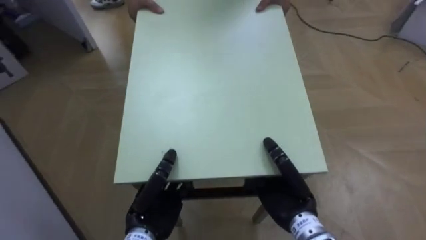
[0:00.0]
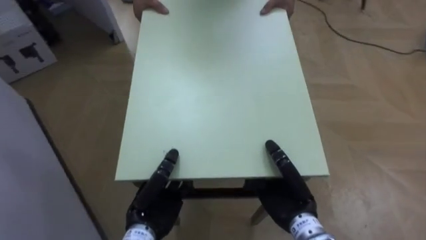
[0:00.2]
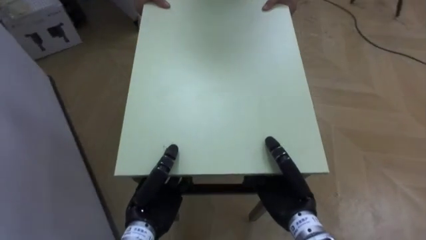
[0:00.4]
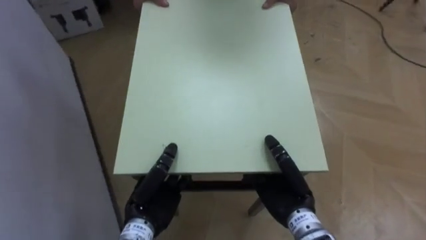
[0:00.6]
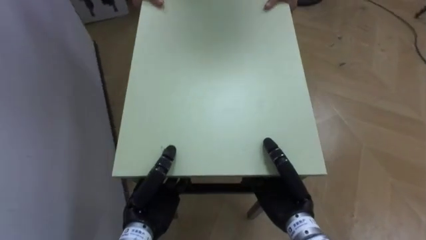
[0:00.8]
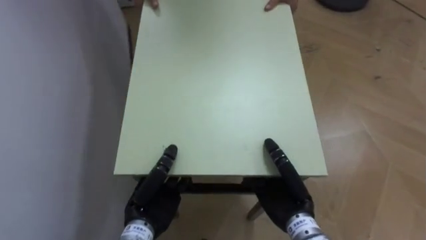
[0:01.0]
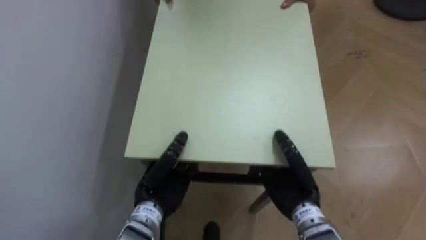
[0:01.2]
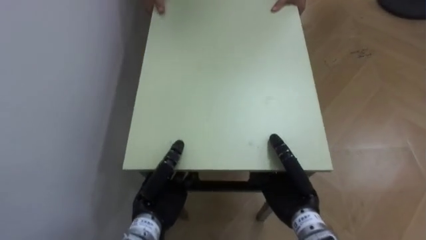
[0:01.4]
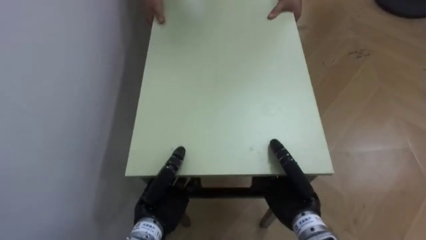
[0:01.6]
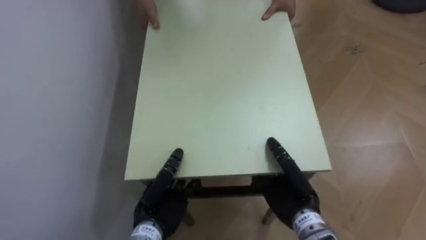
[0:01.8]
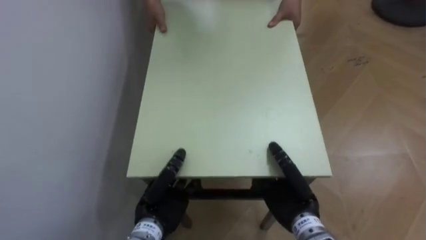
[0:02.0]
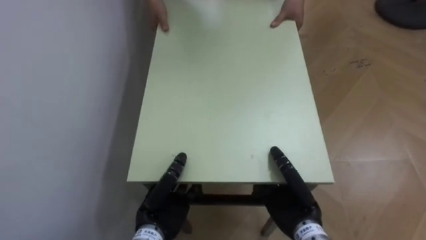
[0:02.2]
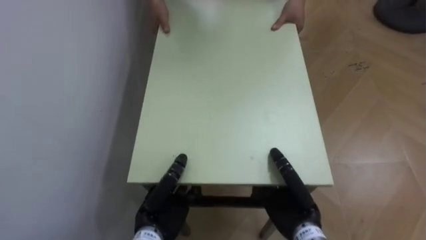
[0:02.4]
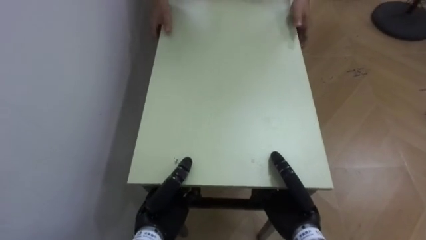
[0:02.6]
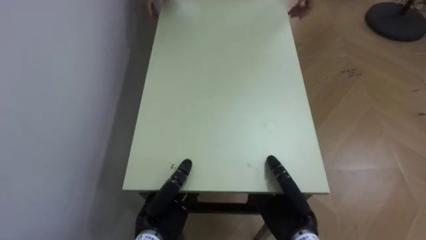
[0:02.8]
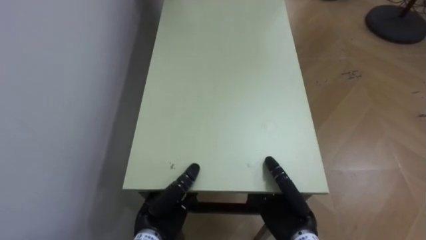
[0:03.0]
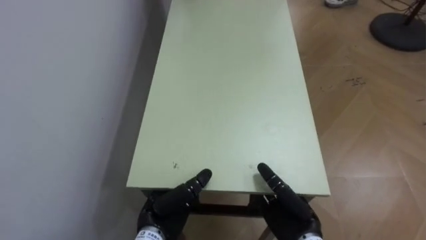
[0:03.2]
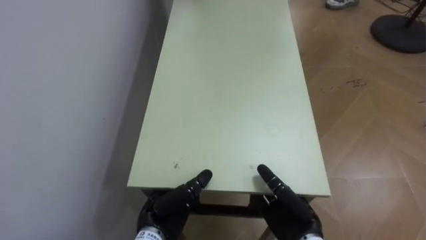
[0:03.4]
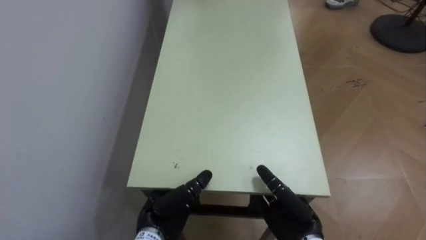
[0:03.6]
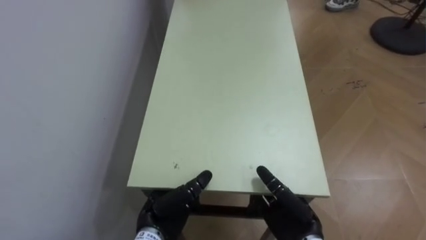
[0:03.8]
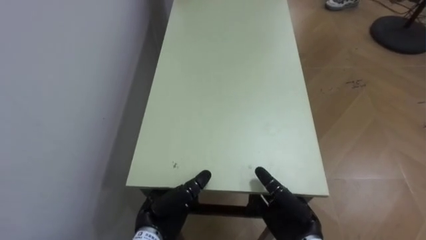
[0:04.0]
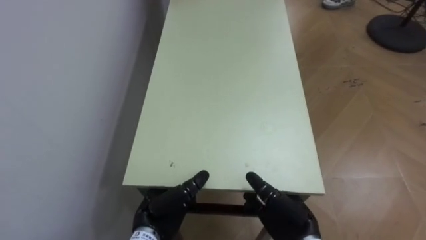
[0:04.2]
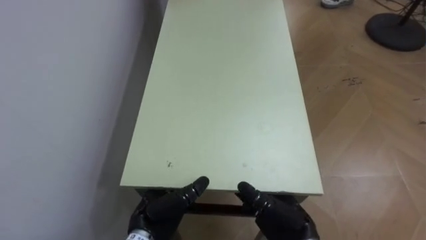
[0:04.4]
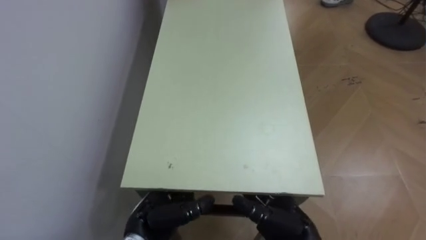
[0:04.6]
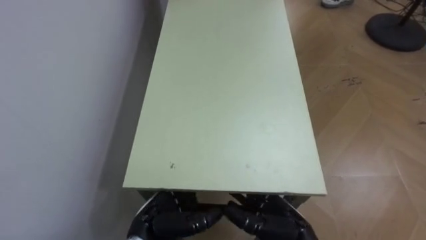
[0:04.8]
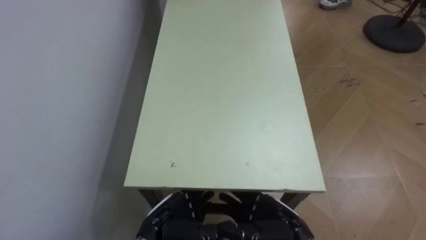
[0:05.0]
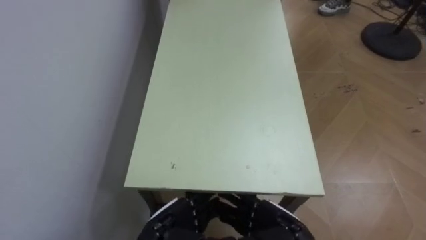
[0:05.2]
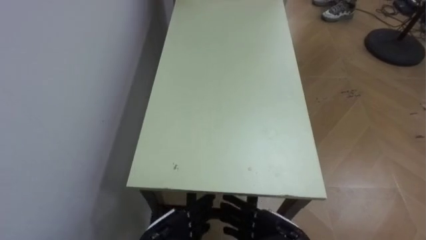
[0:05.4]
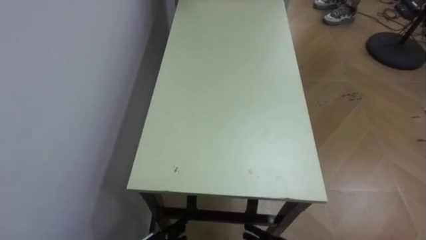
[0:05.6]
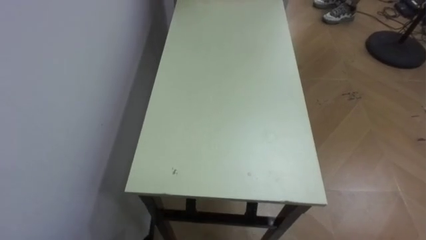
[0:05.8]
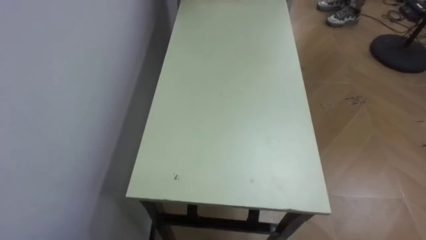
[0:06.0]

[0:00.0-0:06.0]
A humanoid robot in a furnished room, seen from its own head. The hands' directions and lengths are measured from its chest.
Task of the whole recording: Move the table to the back left with someone.
0:00.0 to 0:01.6: The robot's body swings roughly 50 degrees to its left.
0:03.0 to 0:04.4: The right hand opens; the left hand opens.

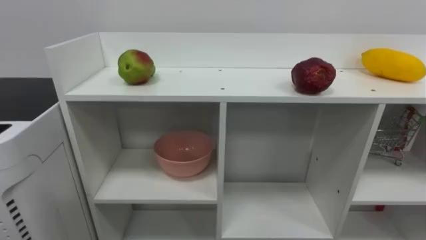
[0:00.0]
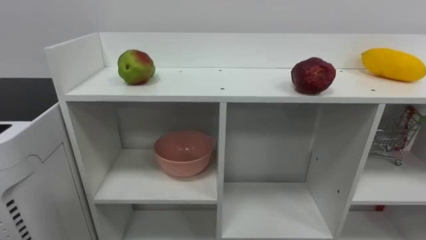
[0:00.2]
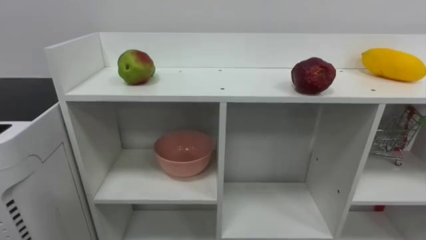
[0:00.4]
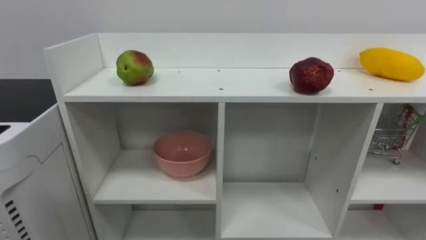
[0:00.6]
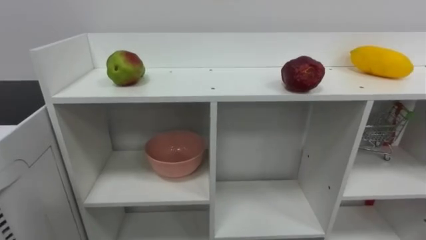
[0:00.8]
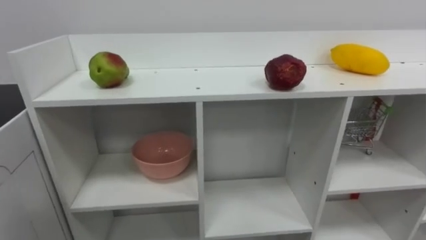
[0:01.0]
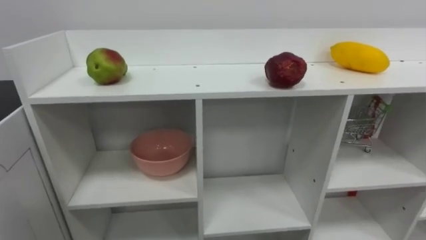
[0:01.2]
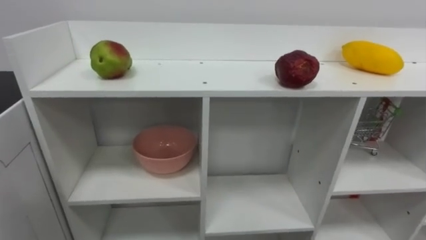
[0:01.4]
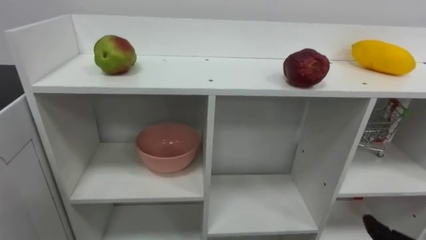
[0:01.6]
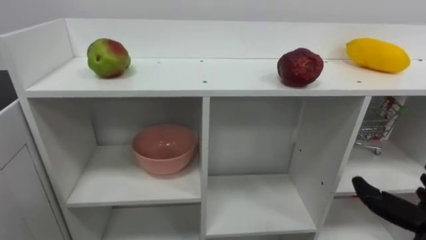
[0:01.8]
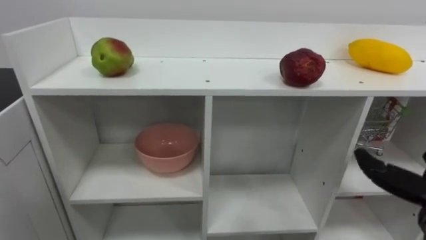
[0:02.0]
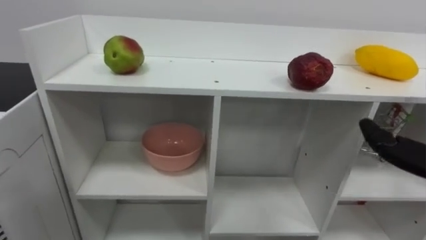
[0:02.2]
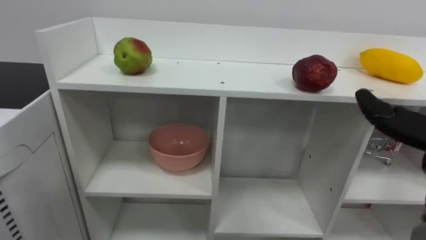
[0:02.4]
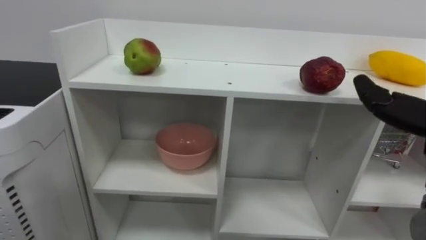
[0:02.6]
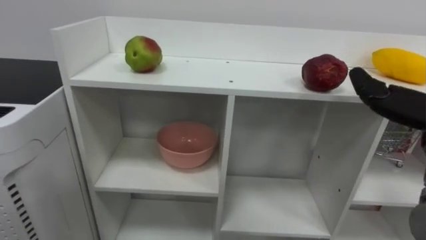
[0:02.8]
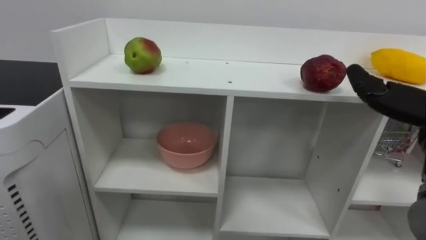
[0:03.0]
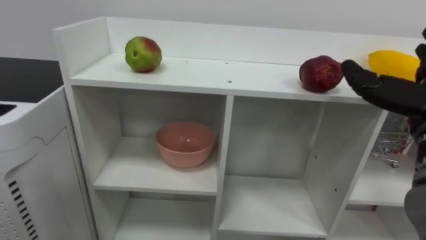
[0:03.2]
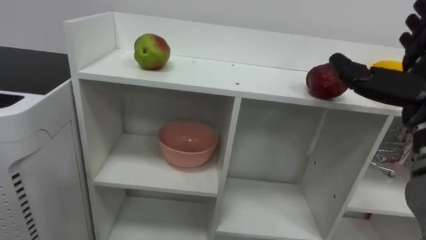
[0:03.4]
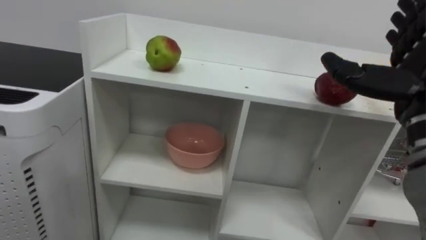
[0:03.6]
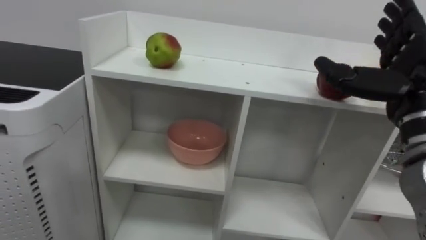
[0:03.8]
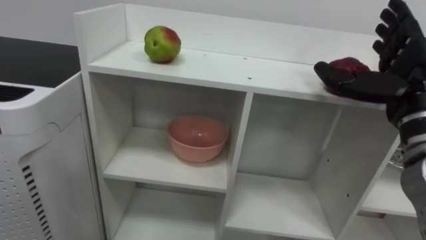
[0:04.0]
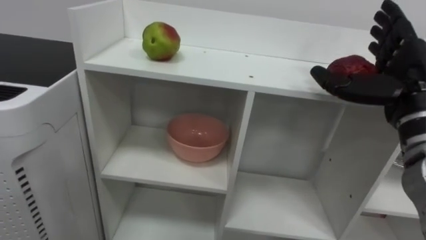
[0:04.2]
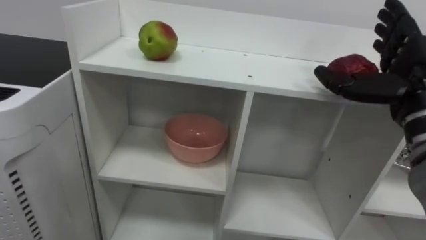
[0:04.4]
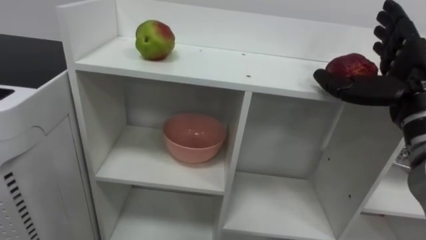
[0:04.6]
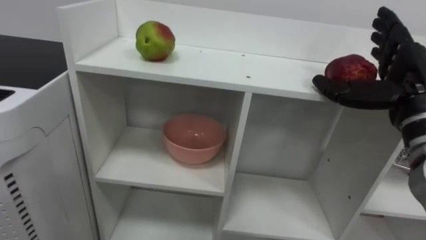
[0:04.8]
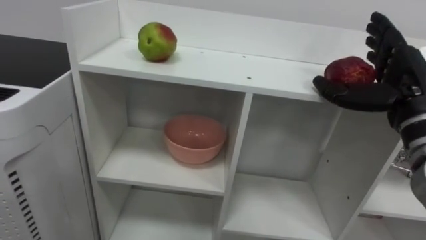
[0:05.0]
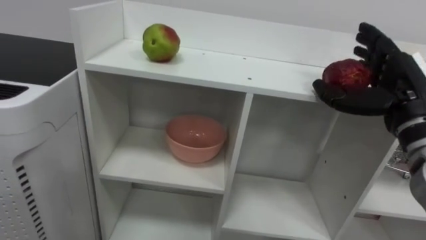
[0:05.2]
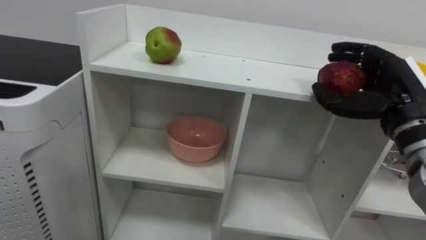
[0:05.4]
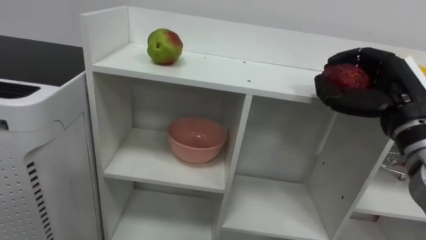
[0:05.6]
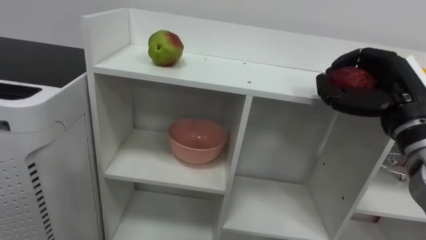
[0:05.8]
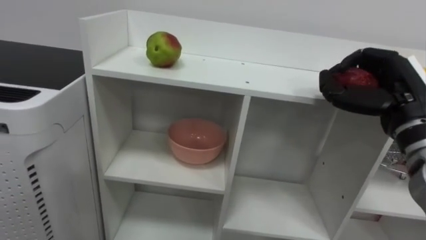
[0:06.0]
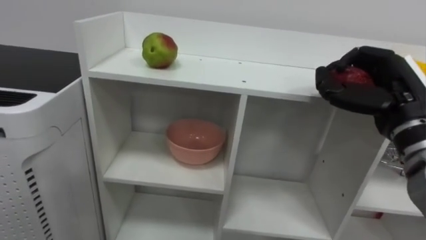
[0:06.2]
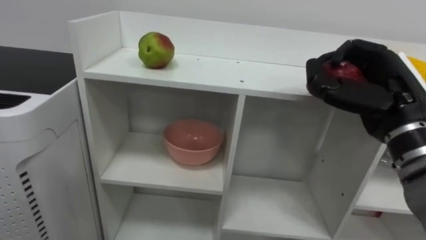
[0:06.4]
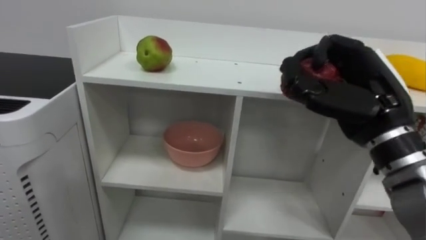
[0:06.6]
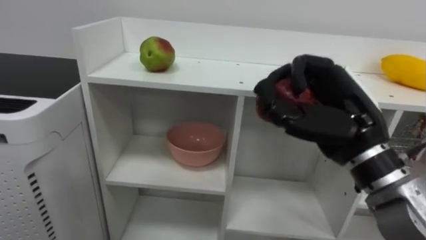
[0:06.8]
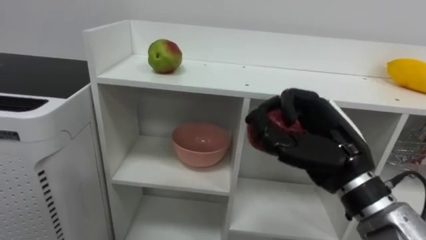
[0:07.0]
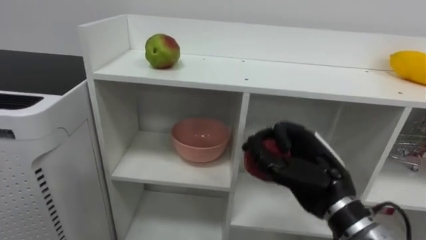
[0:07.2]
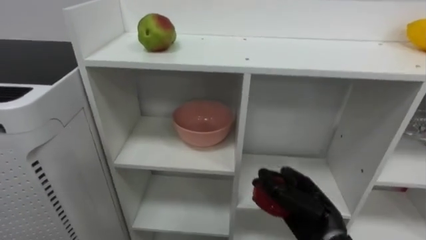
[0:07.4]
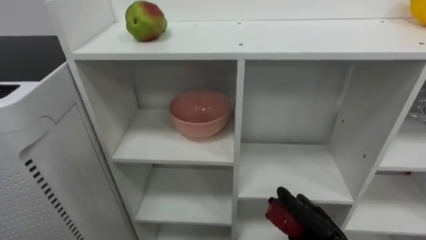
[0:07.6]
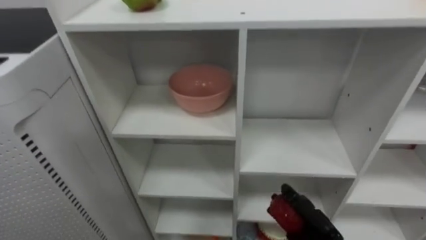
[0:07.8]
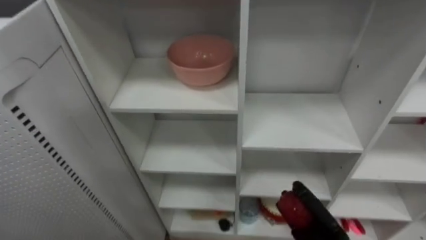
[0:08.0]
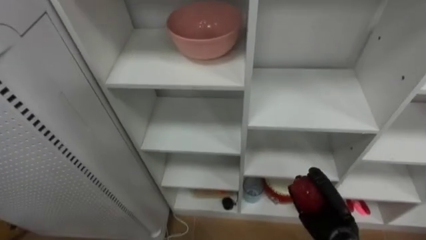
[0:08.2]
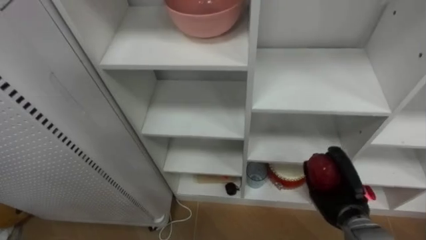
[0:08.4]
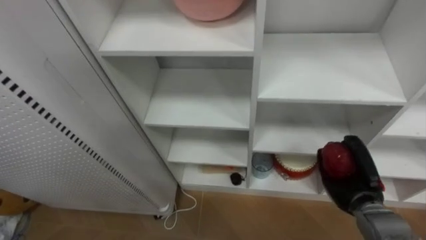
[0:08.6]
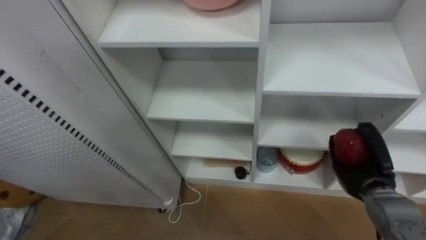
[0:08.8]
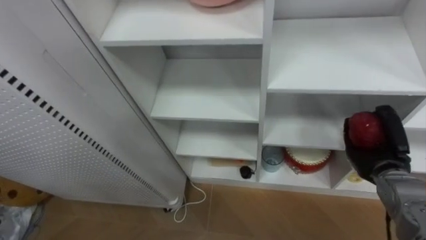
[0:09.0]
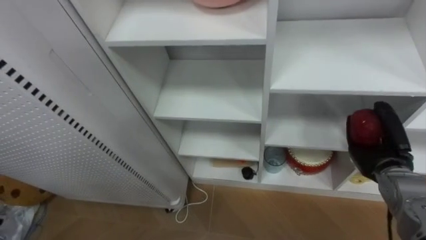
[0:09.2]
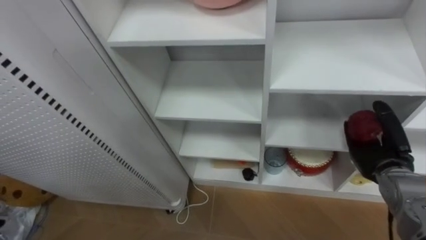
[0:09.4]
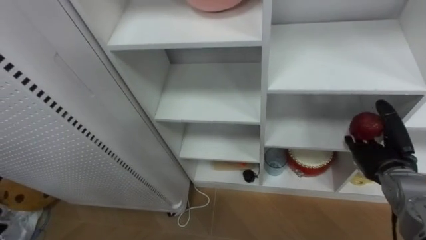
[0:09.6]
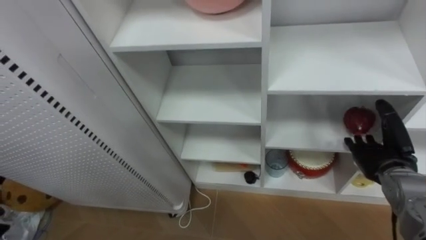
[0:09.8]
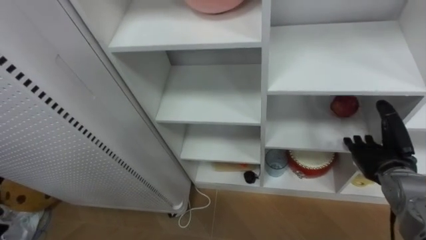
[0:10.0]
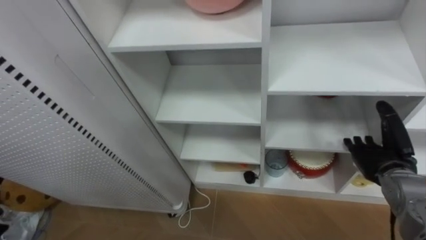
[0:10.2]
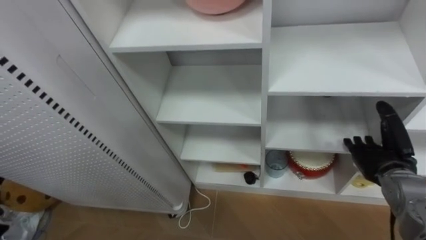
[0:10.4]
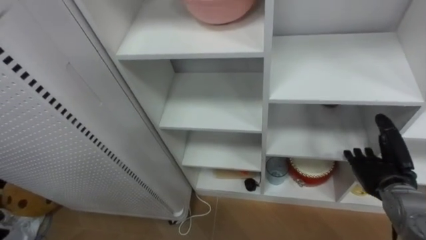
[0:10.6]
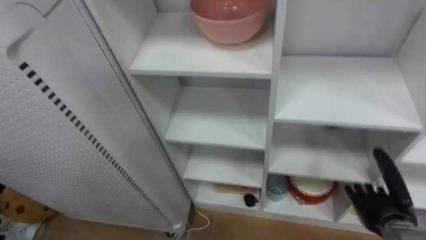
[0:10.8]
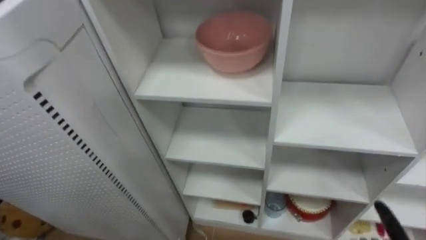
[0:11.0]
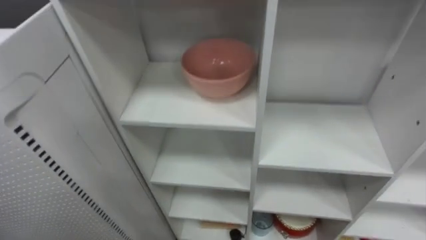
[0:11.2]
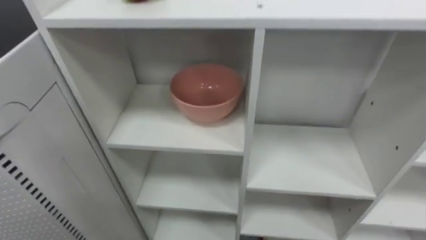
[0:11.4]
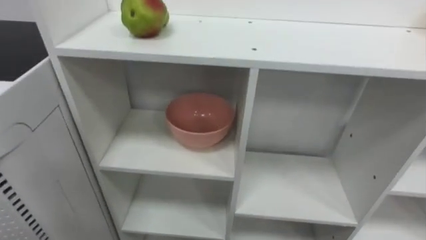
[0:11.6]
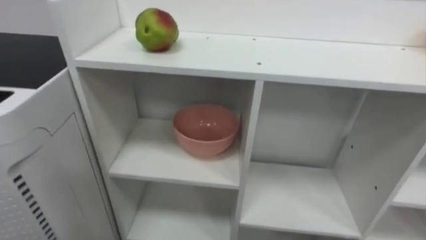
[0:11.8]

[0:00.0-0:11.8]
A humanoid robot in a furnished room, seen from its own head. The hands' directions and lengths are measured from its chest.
Task of the whole recording: Put the apple in the cell in the second column from the left and the second row from the top.
0:04.4 to 0:06.0: The right hand closes up.
0:06.0 to 0:07.4: The right hand travels downward and to the left by roughly 20 cm.
0:07.4 to 0:08.8: The right hand shifts roughly 15 cm to the right and forward.
0:08.8 to 0:10.4: The right hand opens.
